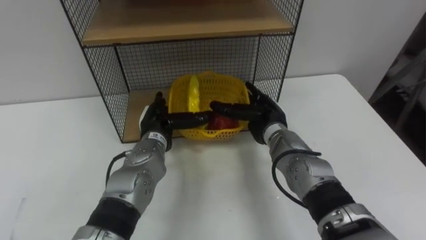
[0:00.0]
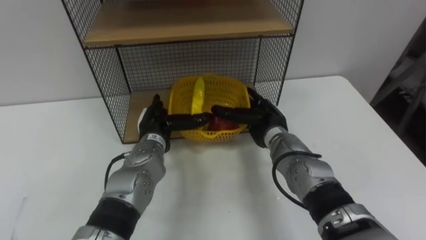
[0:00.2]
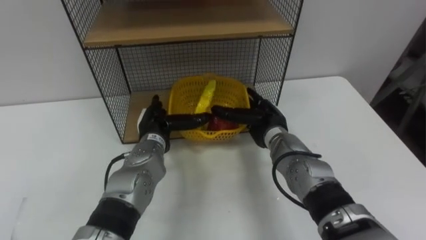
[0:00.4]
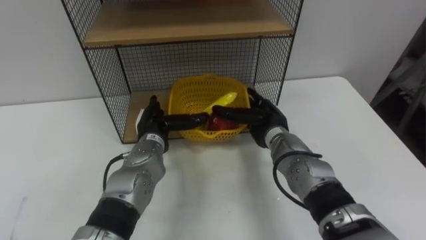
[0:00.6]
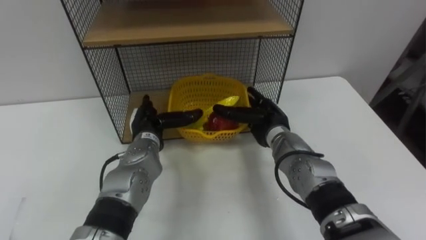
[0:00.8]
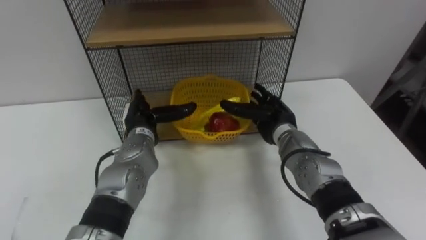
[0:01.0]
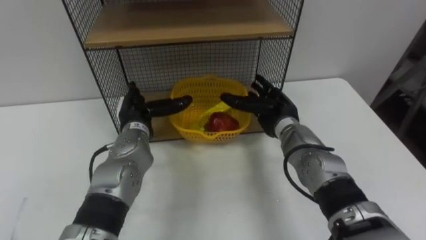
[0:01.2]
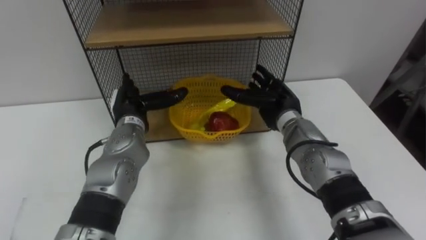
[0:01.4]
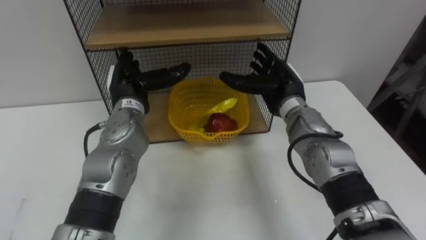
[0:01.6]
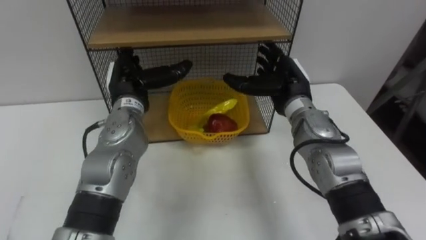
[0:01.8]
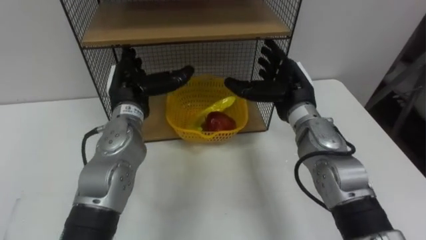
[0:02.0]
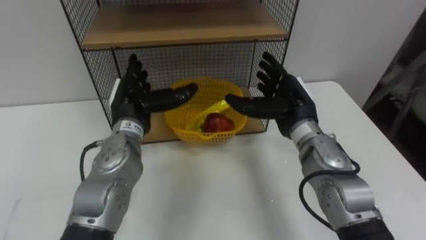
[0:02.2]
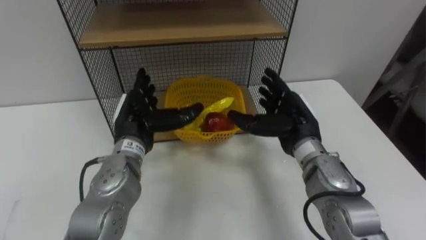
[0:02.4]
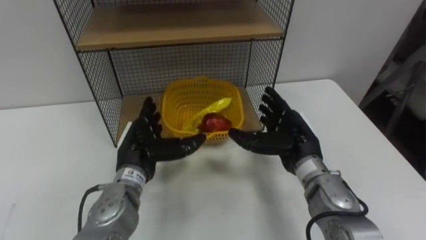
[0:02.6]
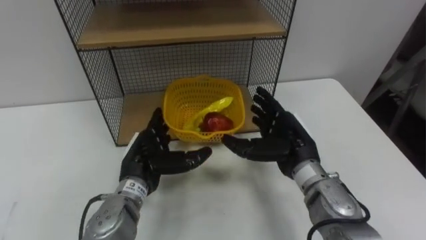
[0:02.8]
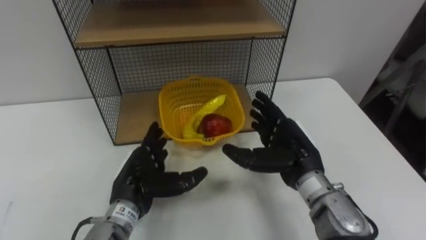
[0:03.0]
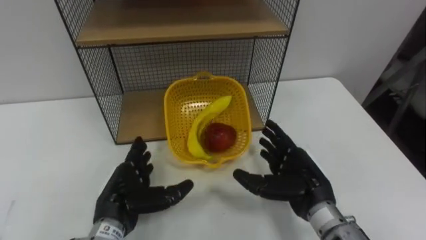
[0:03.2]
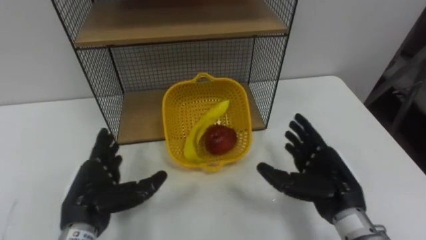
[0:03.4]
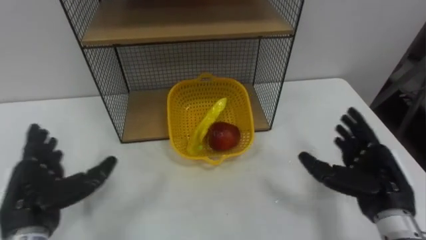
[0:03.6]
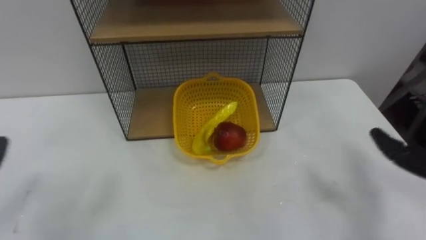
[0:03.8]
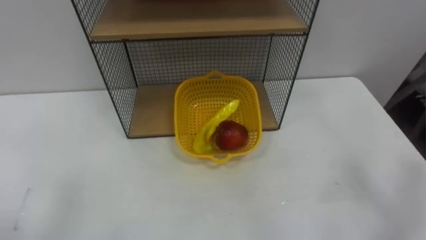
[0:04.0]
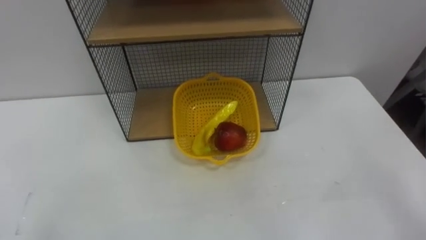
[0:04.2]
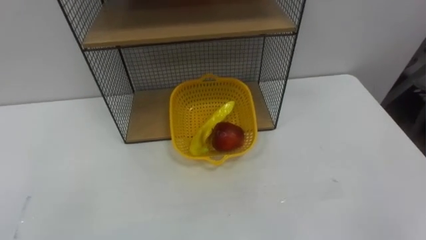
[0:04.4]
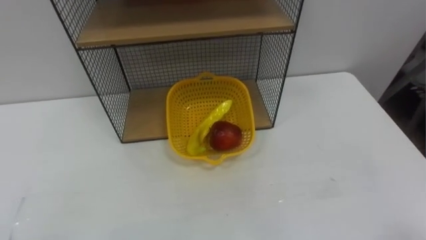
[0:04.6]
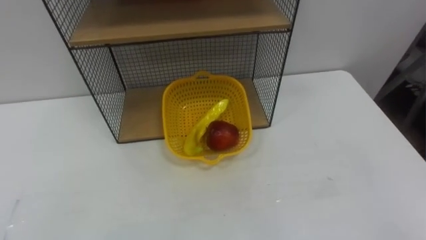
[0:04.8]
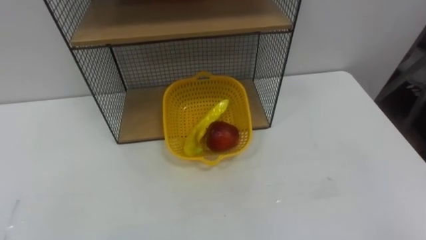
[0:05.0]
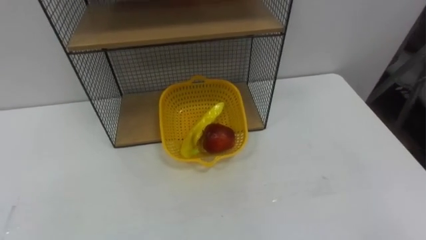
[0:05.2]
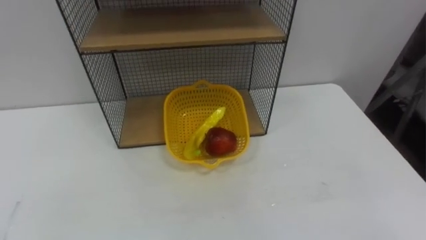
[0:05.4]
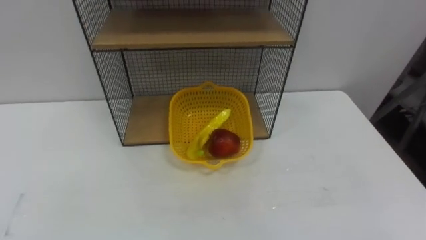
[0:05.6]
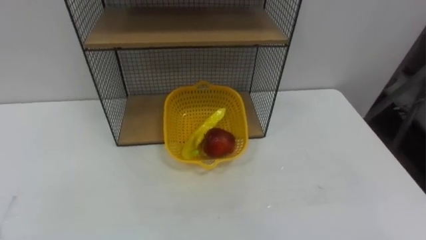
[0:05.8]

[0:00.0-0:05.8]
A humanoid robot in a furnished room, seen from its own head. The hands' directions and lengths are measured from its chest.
Task of the whole recording: Put the fruit on the table into the basket, then place the basket on the shelf.
0:00.0 to 0:01.4: The left hand heads to the left, covering about 5 cm.
0:01.4 to 0:02.8: Both hands move backward, roughly 10 cm.
